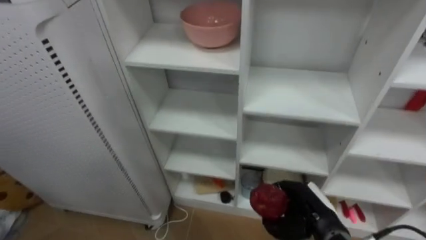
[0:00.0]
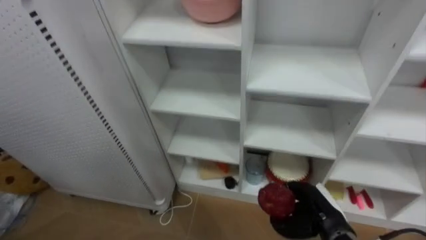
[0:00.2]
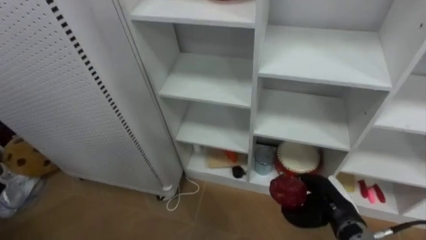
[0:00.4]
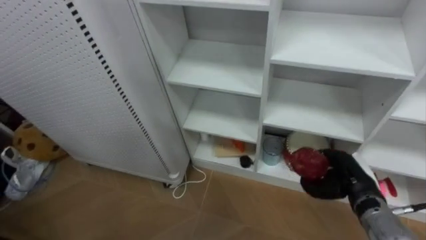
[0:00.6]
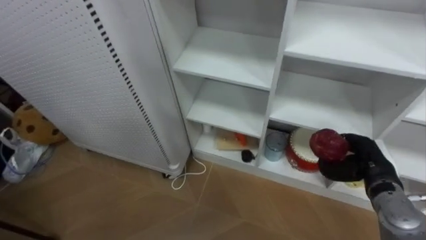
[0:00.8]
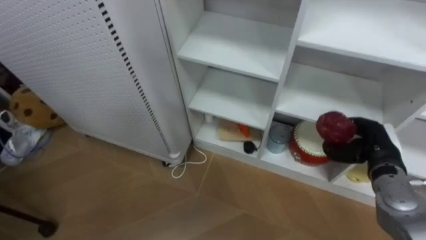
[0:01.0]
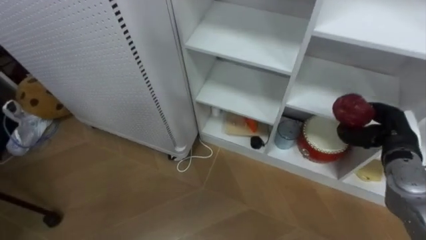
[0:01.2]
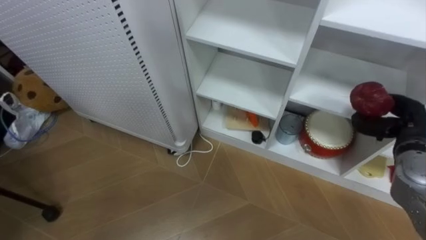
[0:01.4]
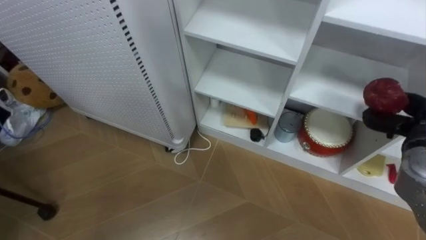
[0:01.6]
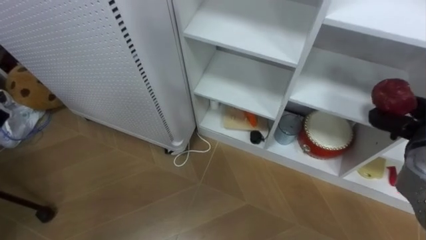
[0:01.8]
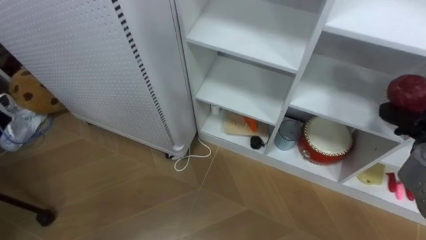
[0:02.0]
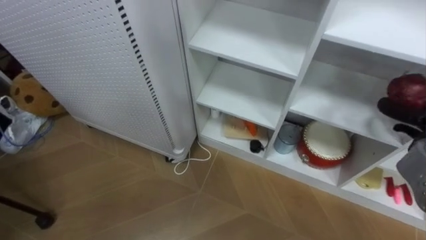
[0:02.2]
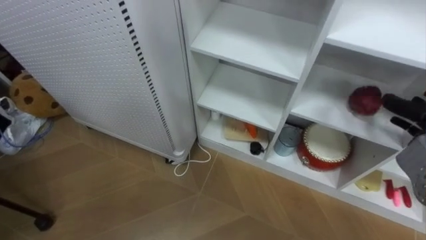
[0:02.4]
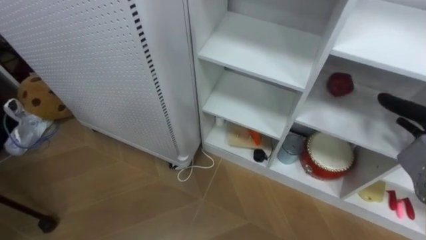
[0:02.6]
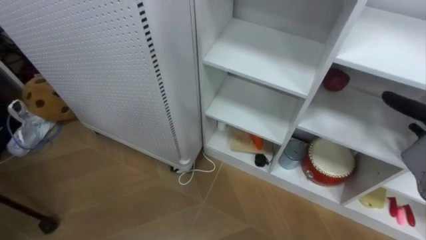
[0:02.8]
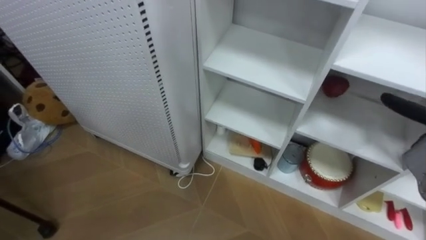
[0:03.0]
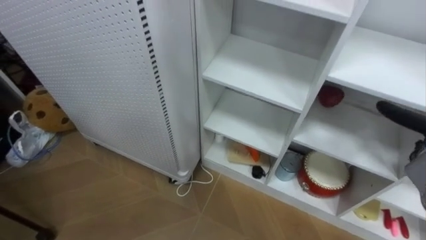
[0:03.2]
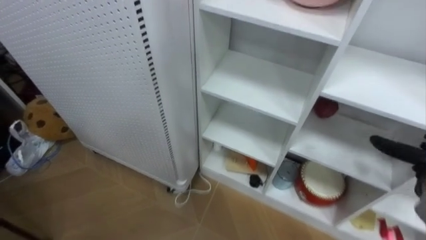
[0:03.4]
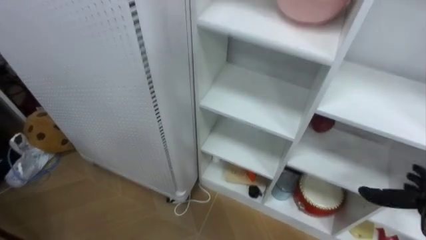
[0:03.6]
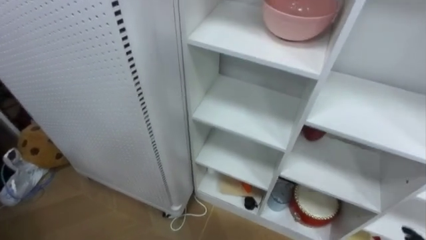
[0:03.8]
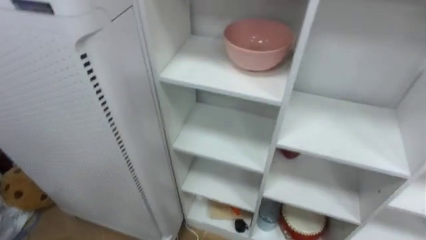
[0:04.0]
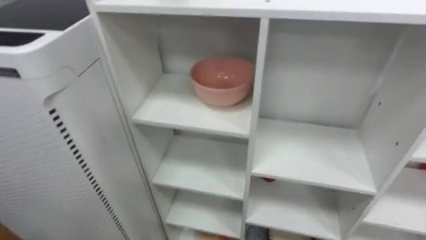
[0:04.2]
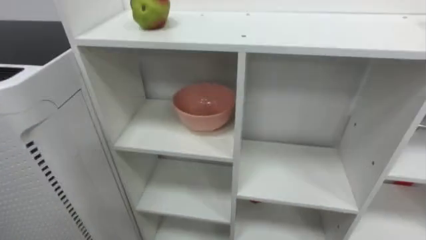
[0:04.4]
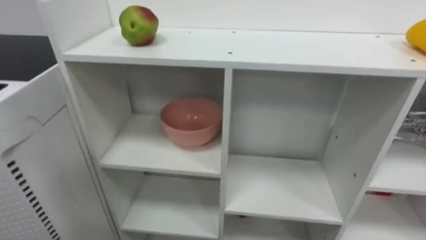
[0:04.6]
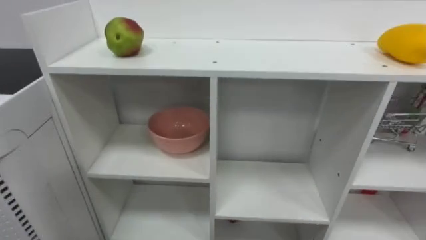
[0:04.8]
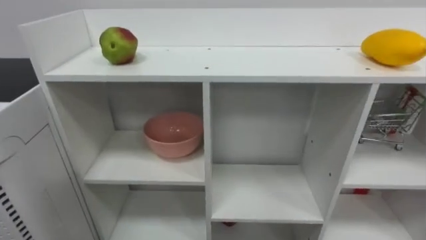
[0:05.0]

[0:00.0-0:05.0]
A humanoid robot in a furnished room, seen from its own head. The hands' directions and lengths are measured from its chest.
Task of the whole recording: Put the apple in the cell in the second column from the left and the second row from the top.
0:00.0 to 0:01.6: The right hand heads to the right, upward and forward, covering approximately 20 cm.

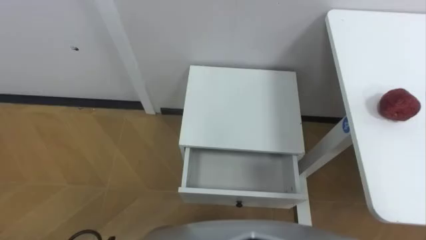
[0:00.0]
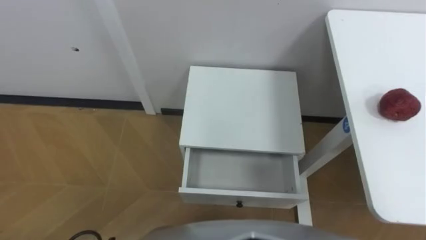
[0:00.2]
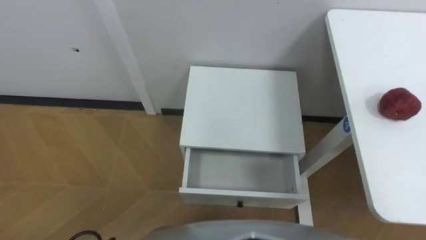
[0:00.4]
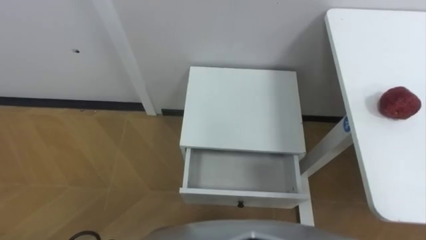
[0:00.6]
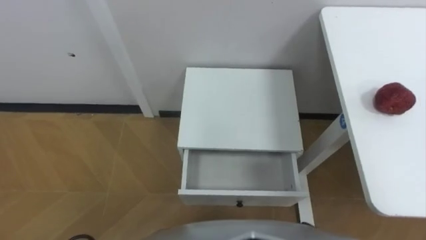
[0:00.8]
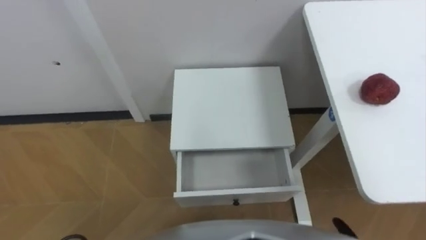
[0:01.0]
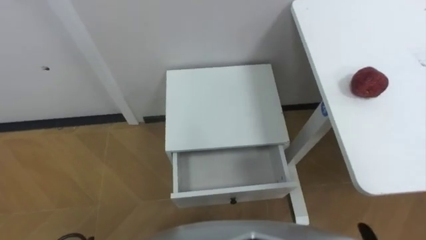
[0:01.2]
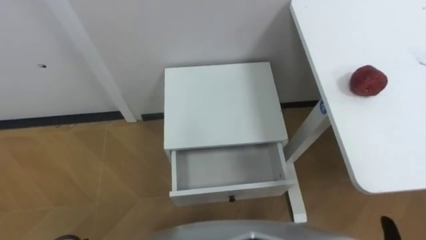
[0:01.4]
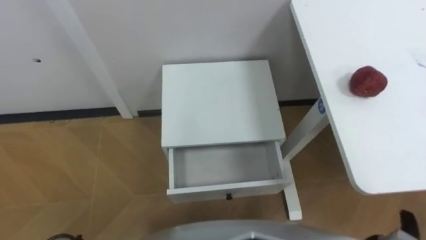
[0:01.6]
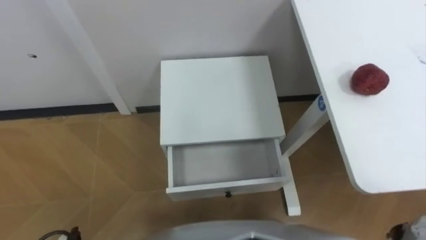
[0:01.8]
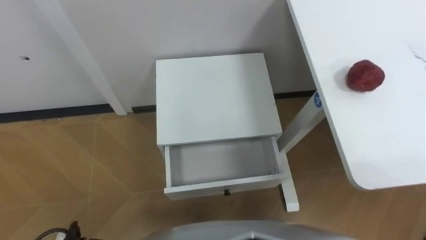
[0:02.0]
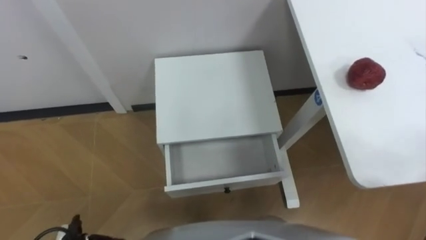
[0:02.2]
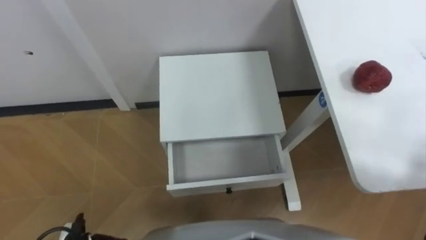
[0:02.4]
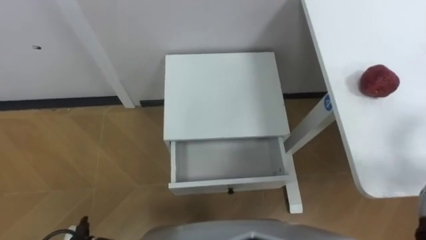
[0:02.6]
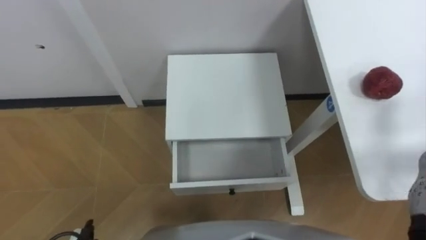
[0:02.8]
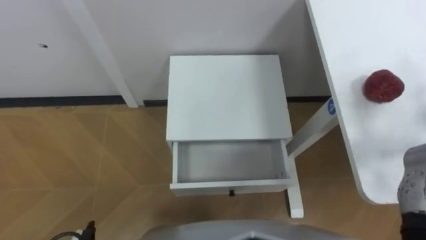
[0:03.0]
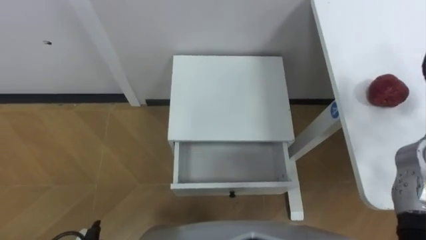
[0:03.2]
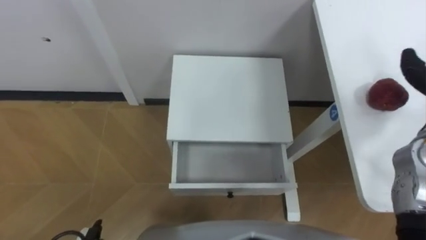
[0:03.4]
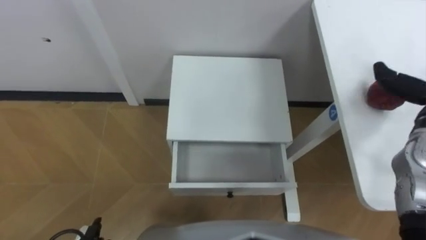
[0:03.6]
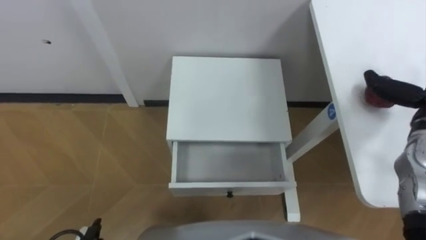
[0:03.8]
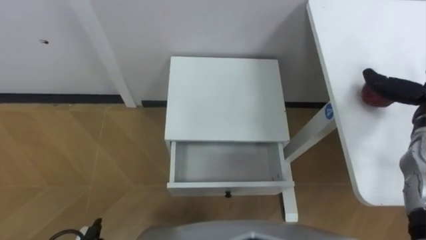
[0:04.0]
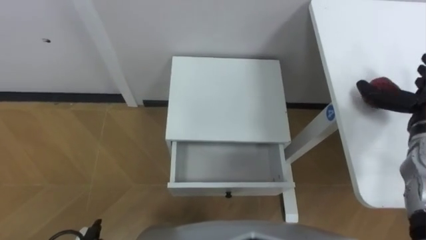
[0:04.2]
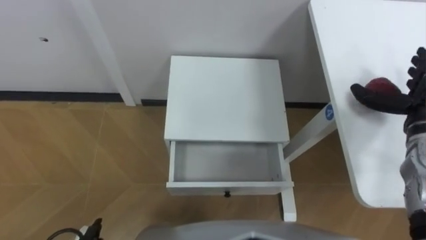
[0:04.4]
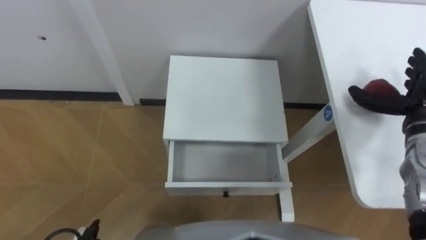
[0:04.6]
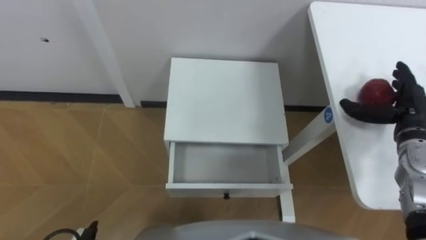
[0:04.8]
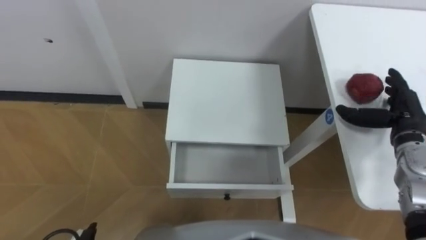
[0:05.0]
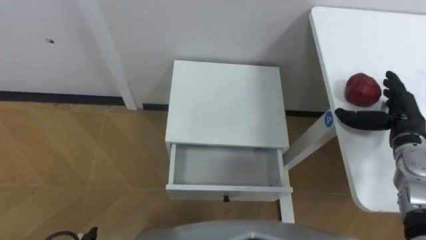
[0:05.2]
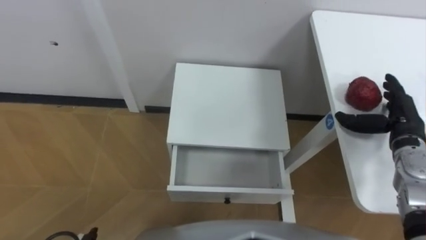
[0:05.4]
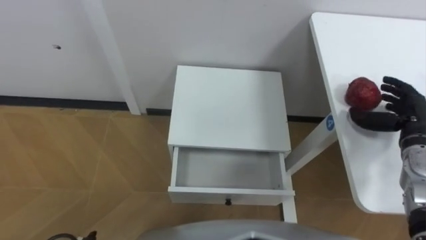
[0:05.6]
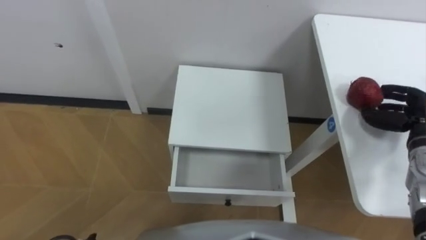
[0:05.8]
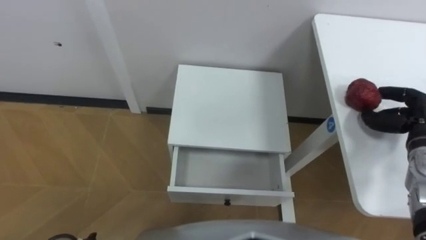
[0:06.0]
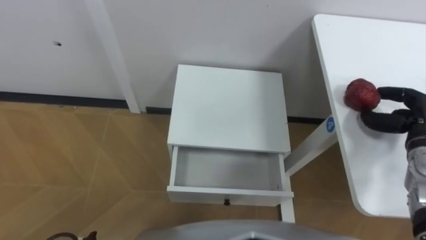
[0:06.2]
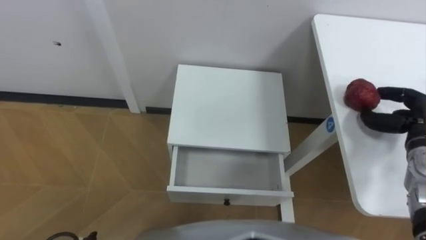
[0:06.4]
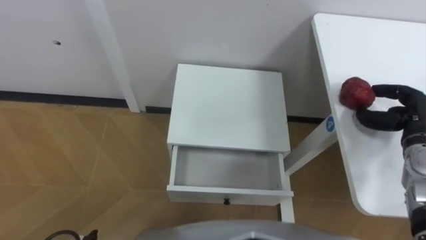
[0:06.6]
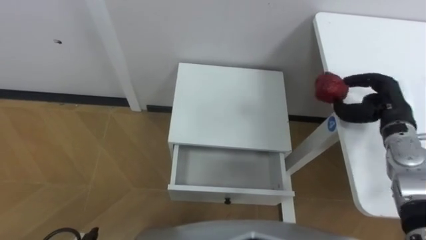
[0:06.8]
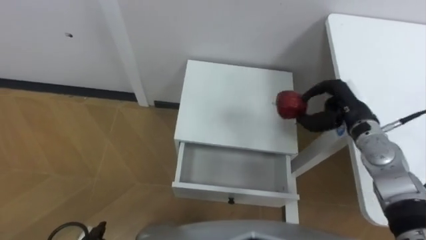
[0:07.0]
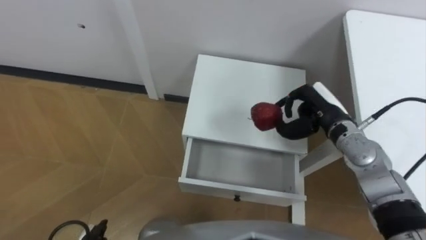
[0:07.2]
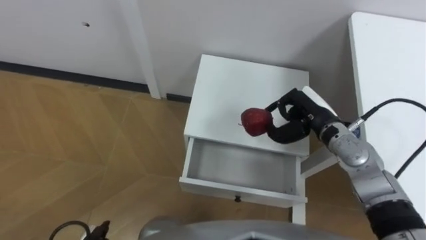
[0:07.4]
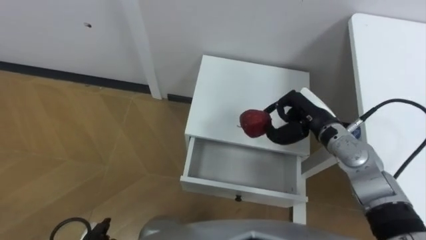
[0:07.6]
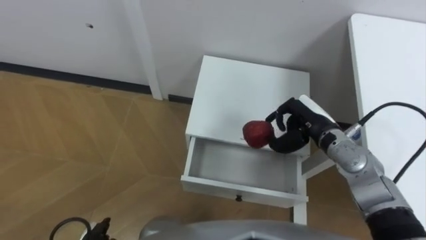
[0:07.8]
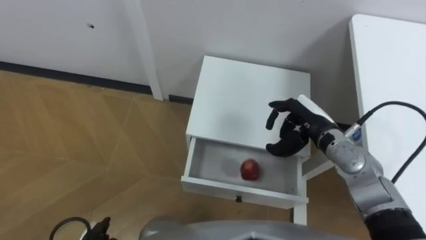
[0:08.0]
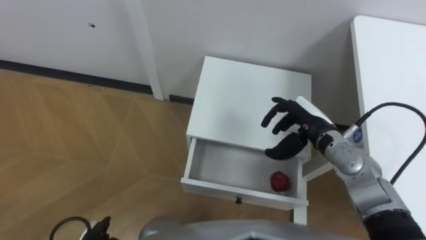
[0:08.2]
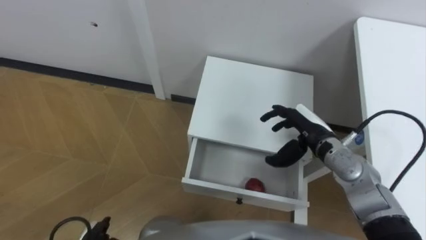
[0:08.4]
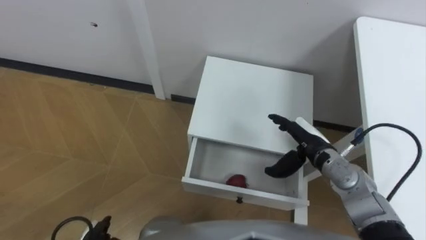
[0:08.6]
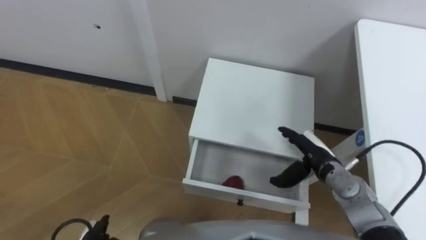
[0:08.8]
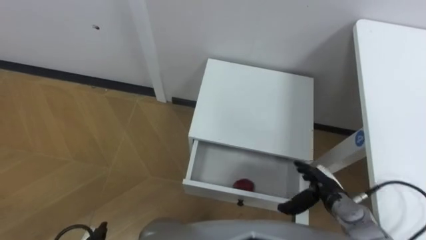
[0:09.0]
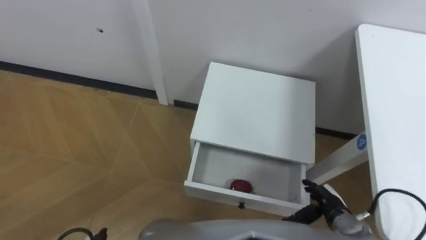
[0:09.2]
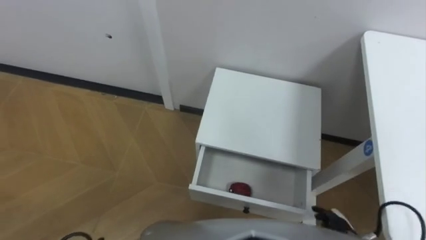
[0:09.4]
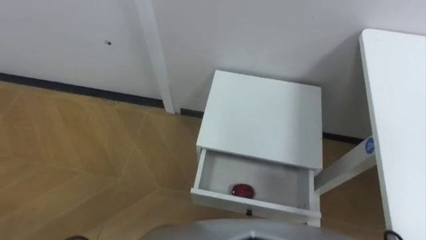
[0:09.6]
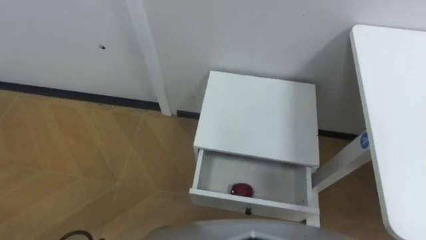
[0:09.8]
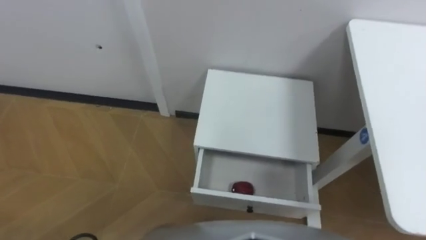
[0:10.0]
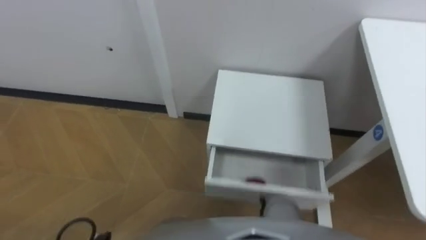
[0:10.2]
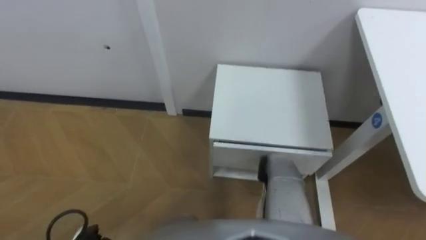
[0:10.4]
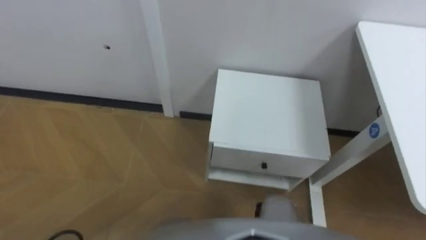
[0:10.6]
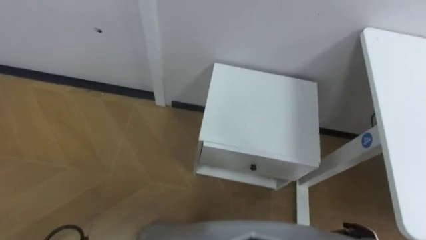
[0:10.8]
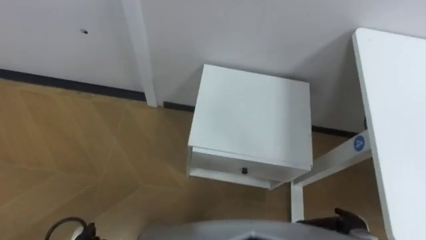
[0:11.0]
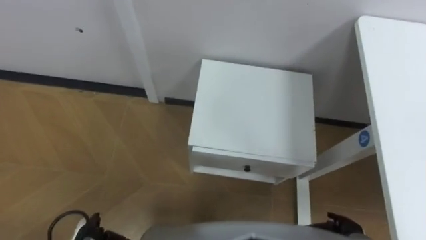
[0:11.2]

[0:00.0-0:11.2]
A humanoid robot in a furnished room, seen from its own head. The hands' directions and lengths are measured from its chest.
Task of the whole recording: Pick up the apple from the table, put it in the drawer, and close the drawer with leg.
0:04.8 to 0:06.4: The right hand closes up.
0:06.4 to 0:08.0: The right hand shifts some 20 cm to the left.

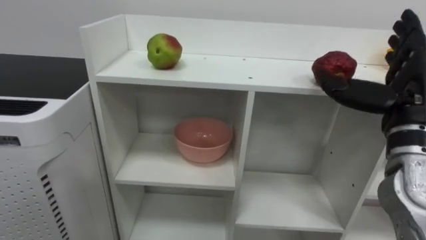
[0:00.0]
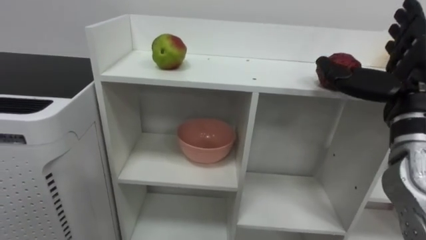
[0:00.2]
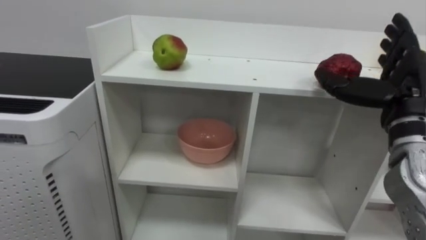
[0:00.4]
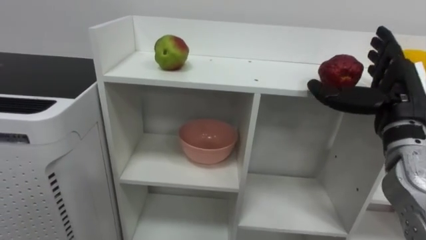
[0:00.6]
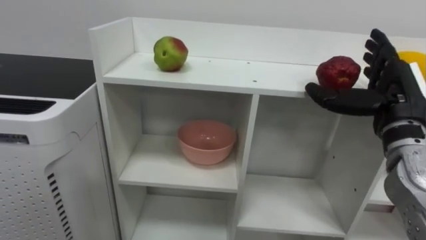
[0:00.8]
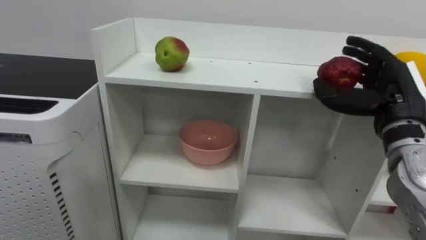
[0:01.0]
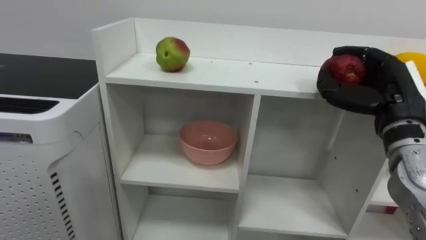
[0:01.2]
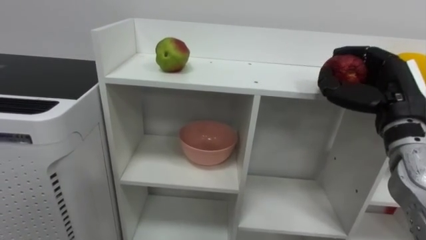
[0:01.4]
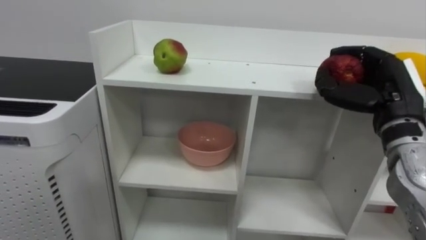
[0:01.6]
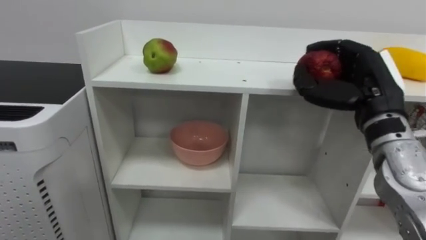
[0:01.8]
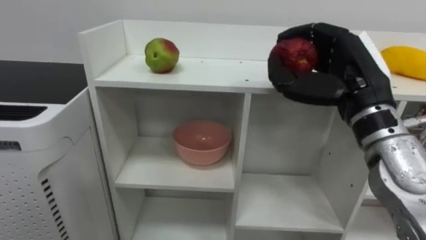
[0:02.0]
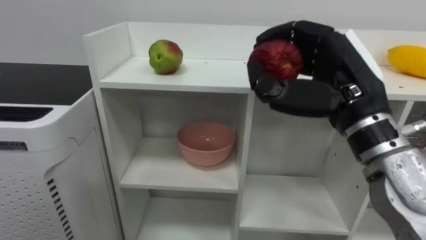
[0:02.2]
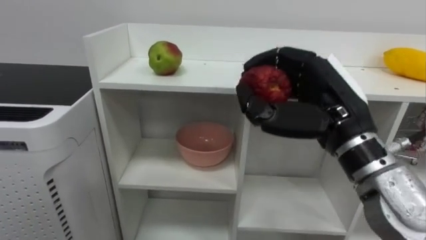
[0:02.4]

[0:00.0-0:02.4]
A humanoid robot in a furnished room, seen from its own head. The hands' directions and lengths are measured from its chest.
Task of the whole recording: Put the apple in the cell in the second column from the left and the second row from the top.
0:00.0 to 0:01.2: The right hand closes.
0:01.2 to 0:02.4: The right hand goes roughly 15 cm to the left and backward.
